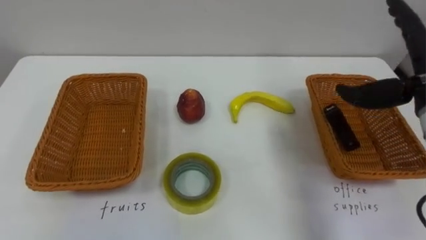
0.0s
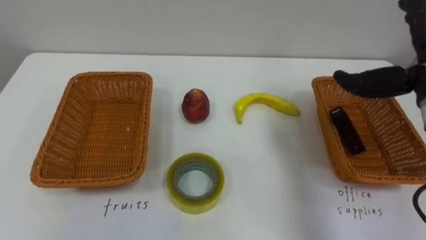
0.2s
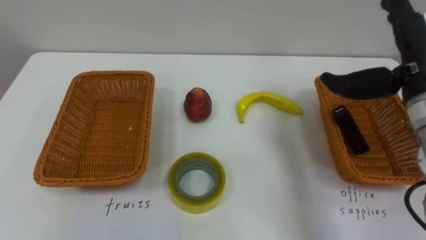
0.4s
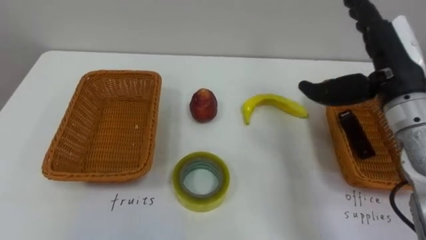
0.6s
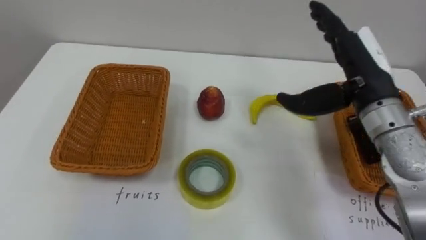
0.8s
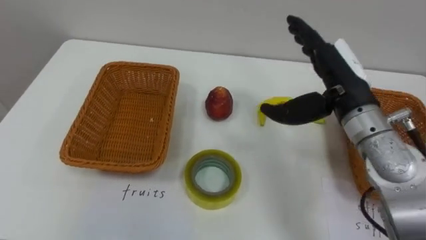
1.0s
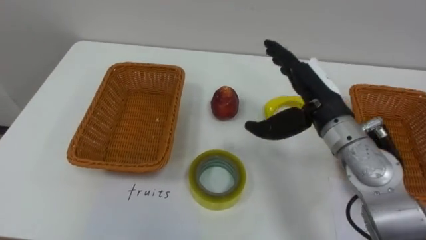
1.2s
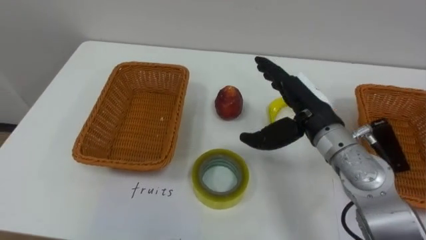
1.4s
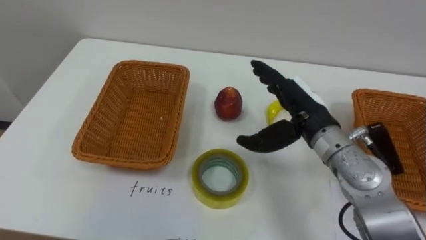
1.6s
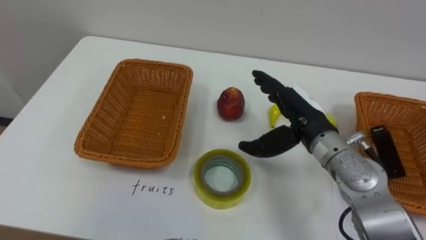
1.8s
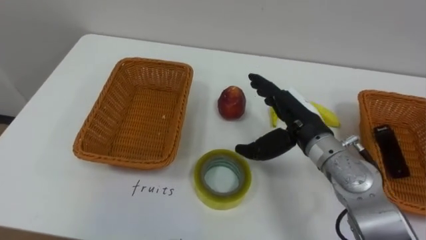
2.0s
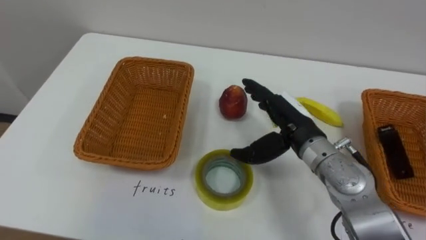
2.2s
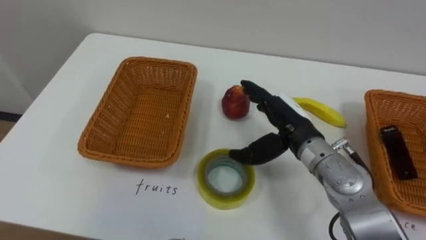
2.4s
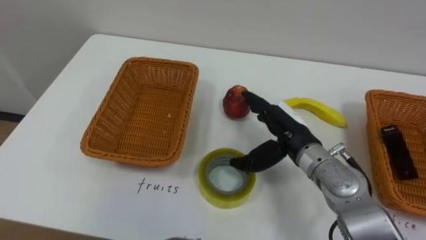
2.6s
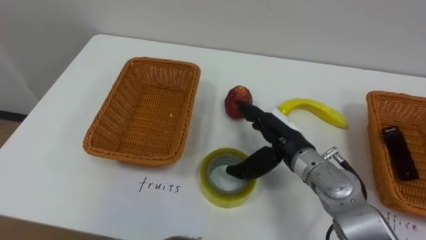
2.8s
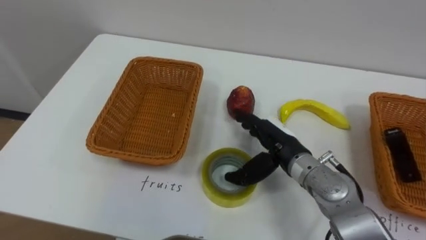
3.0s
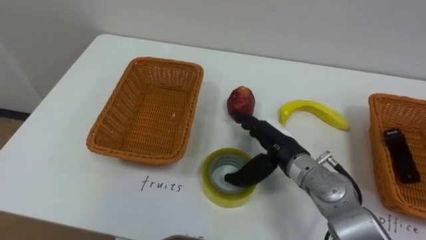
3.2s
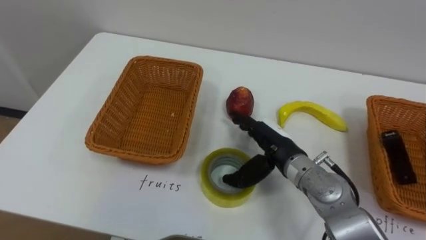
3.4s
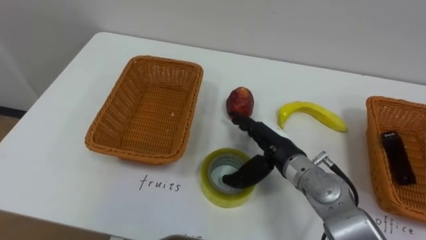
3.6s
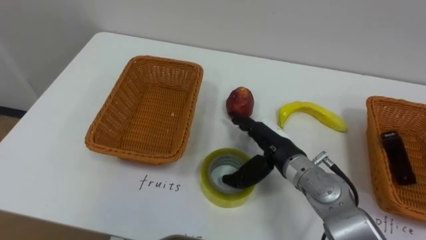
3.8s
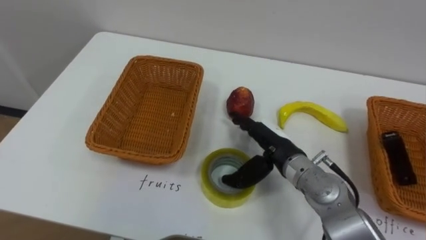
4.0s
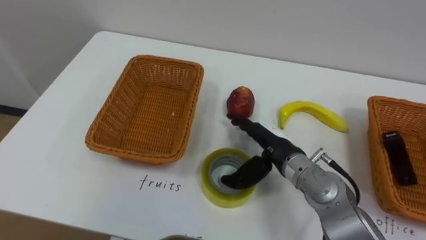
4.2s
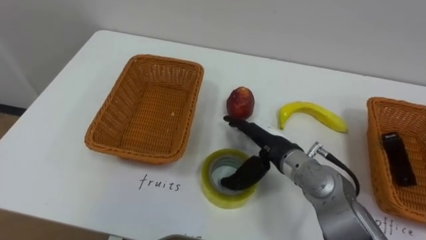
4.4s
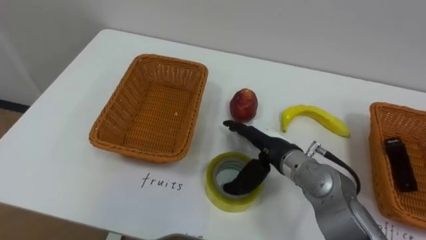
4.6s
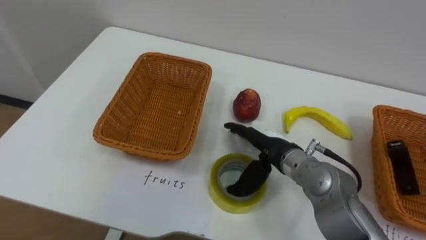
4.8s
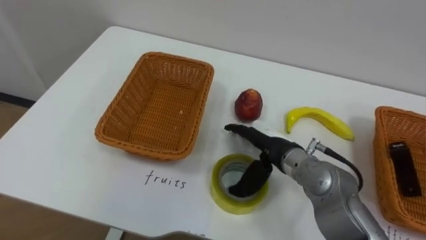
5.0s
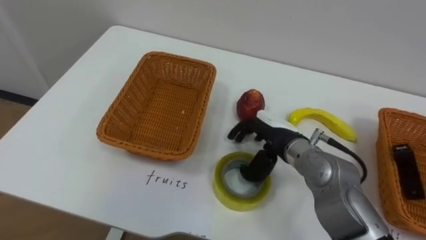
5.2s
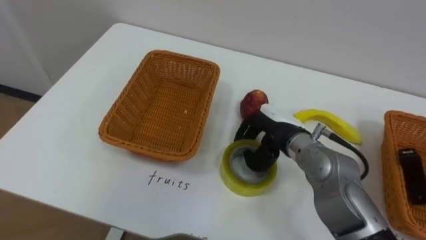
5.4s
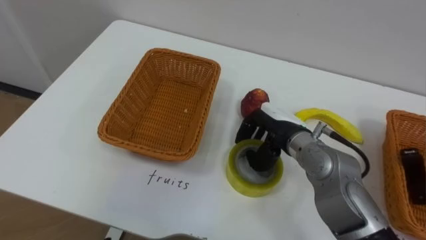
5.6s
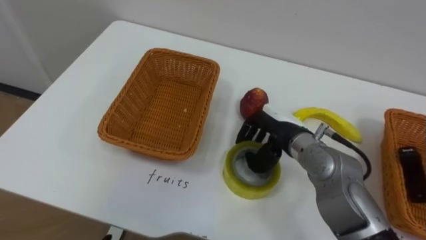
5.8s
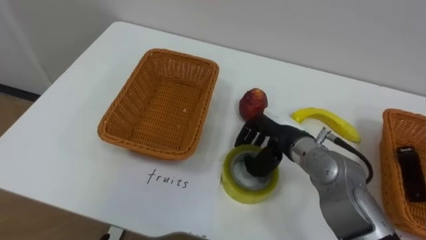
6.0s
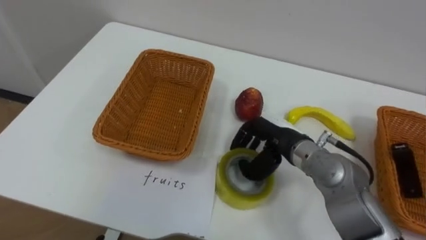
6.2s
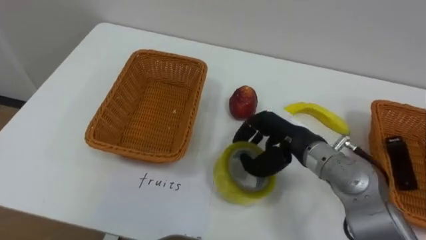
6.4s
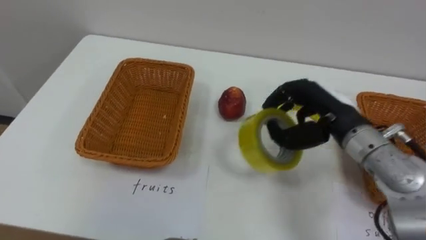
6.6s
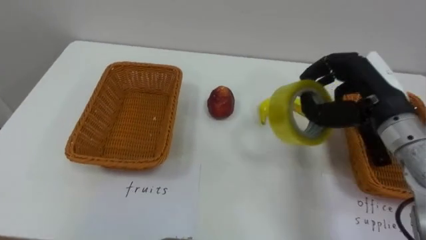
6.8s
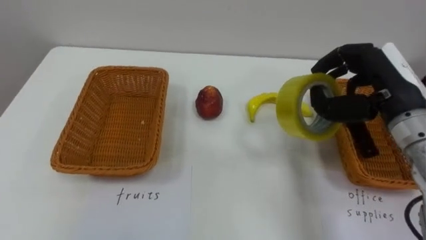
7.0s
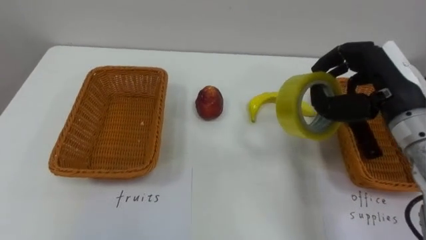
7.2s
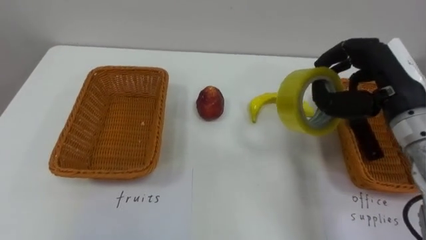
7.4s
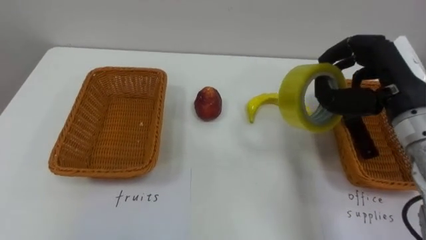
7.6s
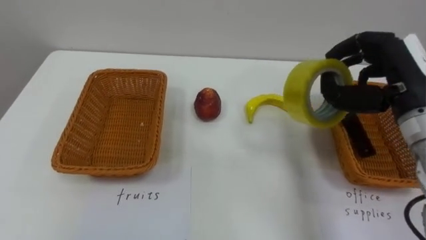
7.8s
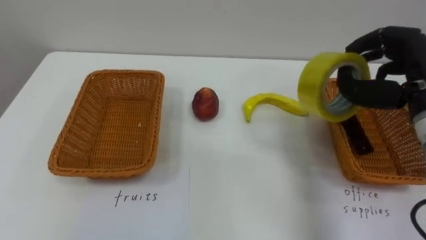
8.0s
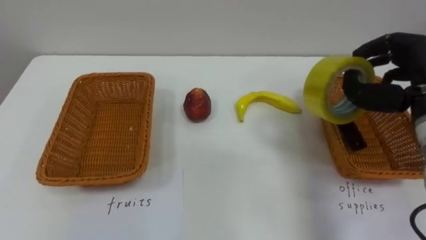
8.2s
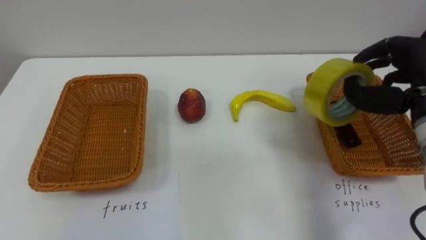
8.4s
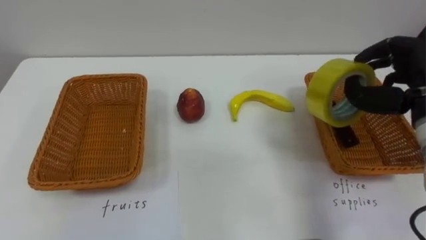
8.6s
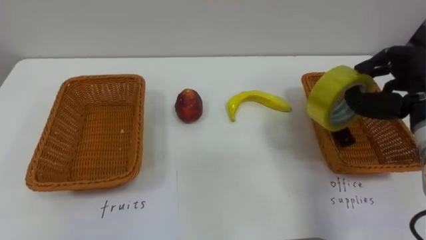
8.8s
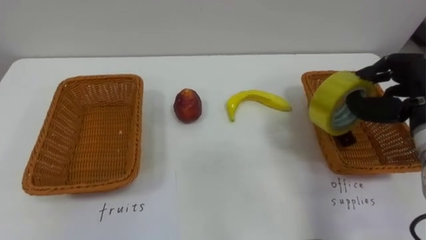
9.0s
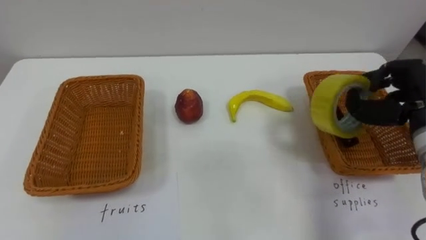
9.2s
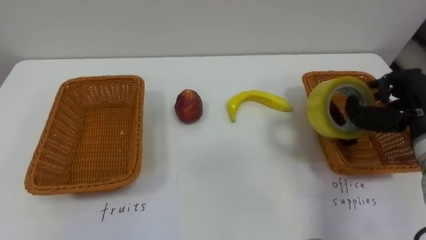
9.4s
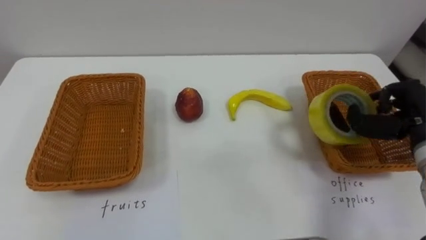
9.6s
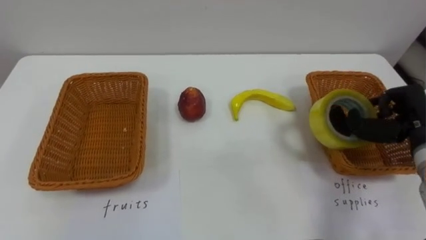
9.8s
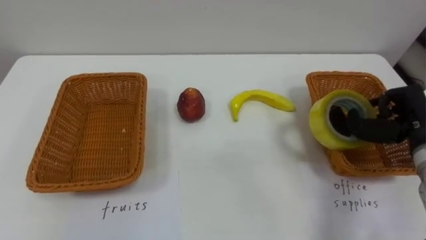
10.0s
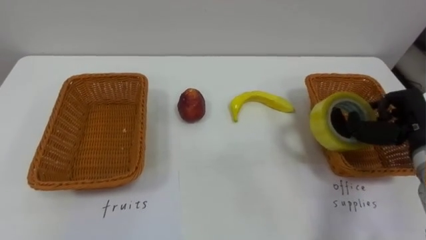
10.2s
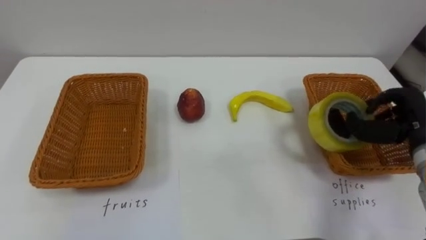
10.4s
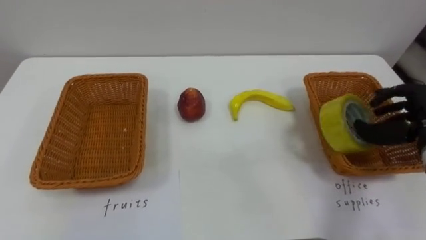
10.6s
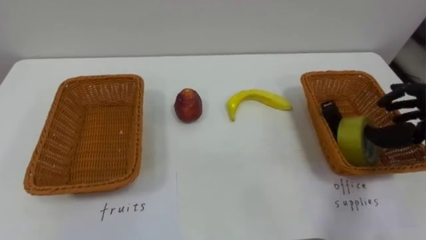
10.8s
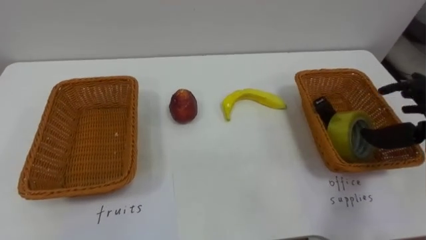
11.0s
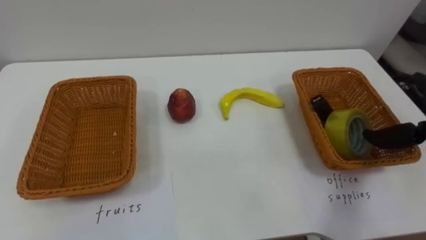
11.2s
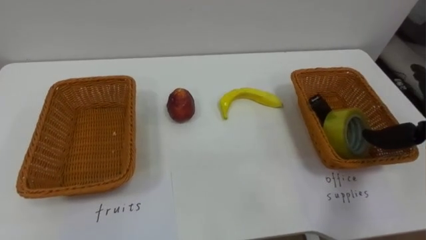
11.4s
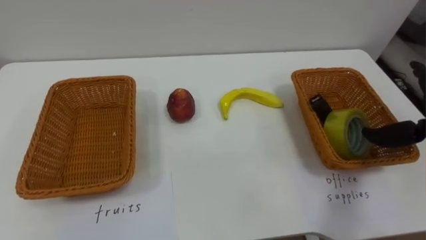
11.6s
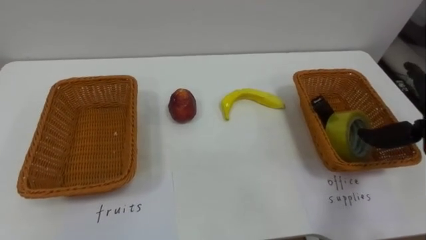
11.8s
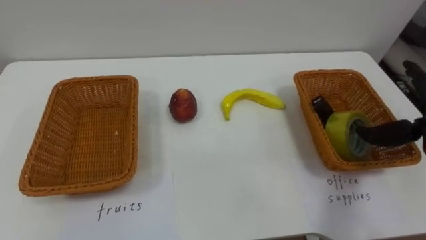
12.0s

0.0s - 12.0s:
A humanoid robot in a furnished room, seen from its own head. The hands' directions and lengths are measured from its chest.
Task of the whole recording: Separate the items on the table and place them into the two baskets.
1.6s - 3.0s: The right hand travels downward by about 10 cm.
4.4s - 6.0s: The right hand closes its fingers.
6.0s - 7.6s: The right hand heads to the right and upward, covering about 20 cm.
7.6s - 9.0s: The right hand travels to the right by approximately 5 cm.
9.0s - 10.4s: The right hand heads downward, covering roughly 5 cm.

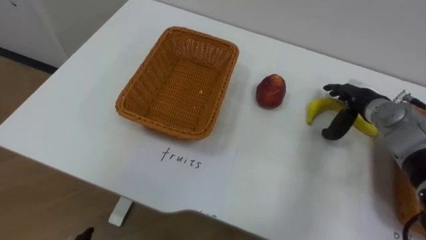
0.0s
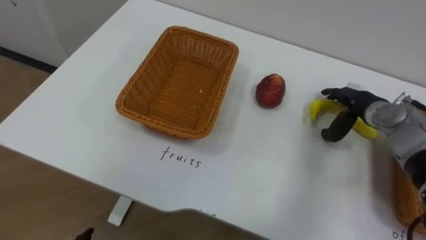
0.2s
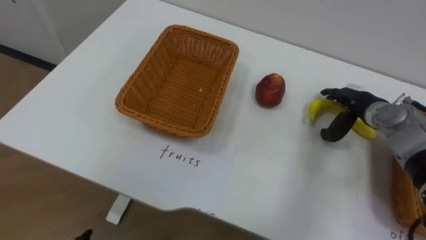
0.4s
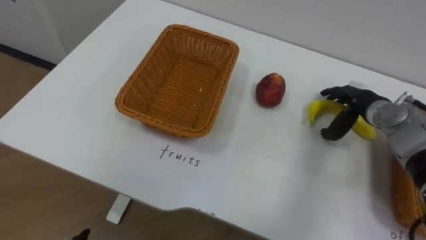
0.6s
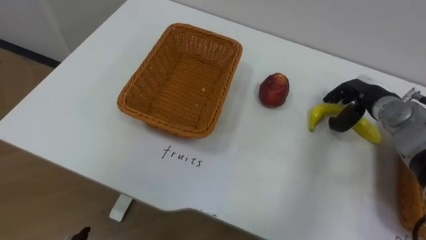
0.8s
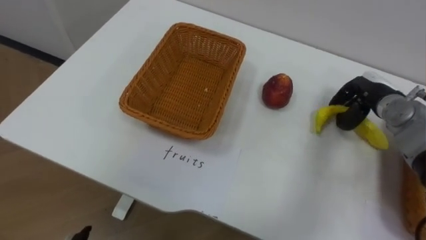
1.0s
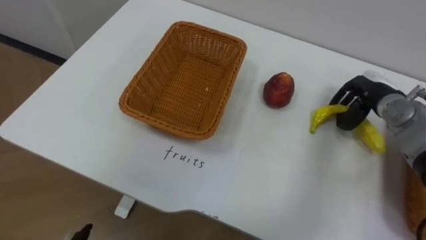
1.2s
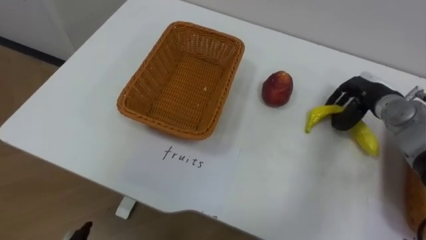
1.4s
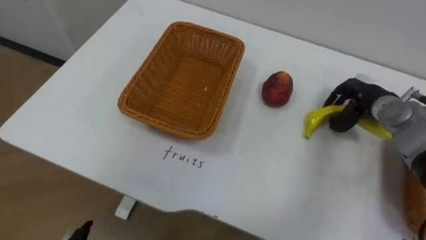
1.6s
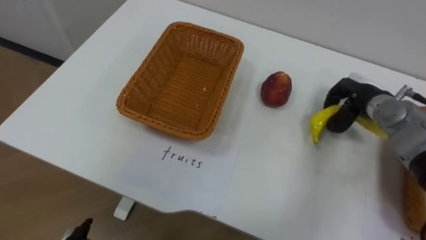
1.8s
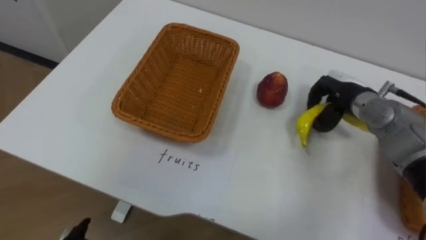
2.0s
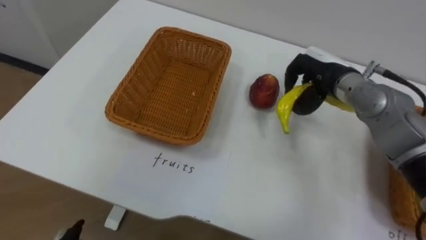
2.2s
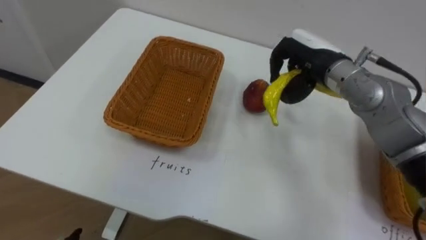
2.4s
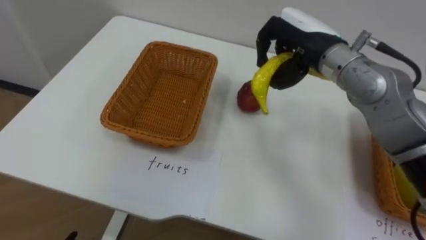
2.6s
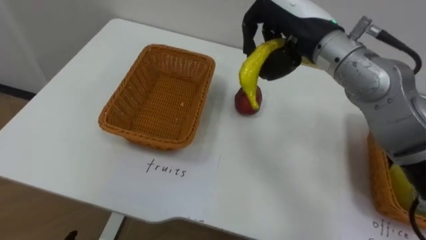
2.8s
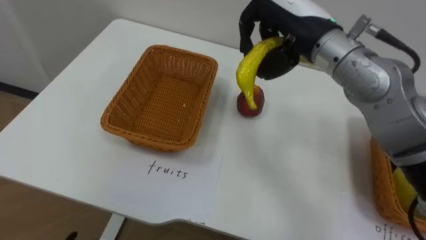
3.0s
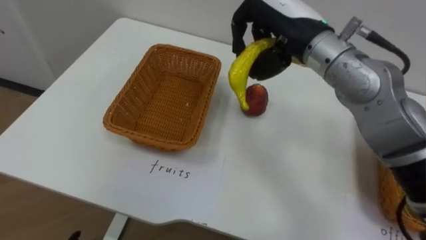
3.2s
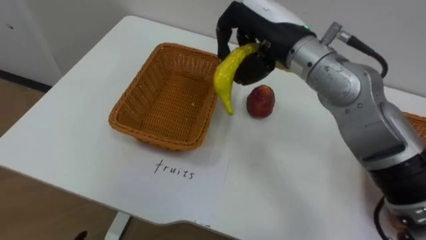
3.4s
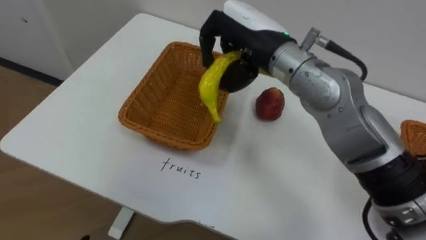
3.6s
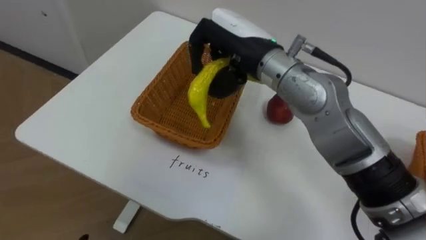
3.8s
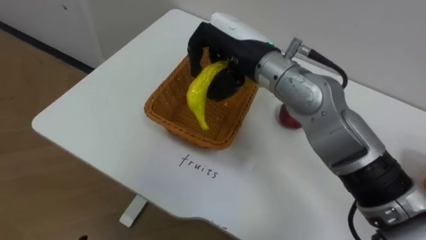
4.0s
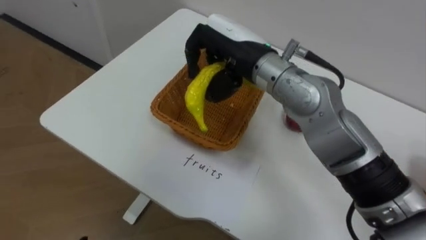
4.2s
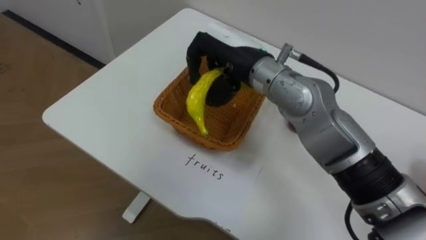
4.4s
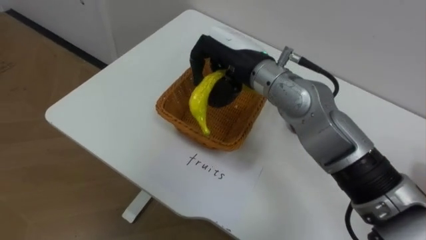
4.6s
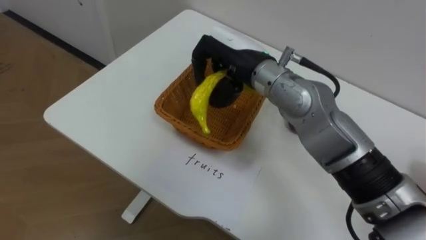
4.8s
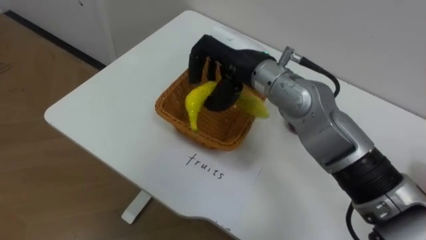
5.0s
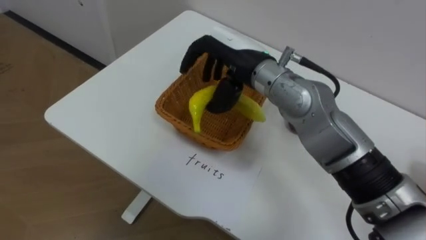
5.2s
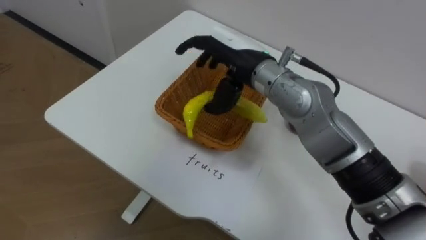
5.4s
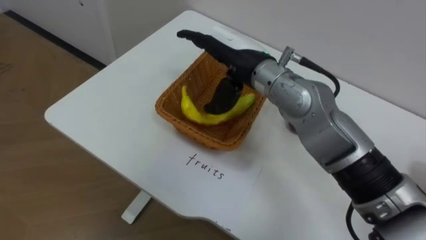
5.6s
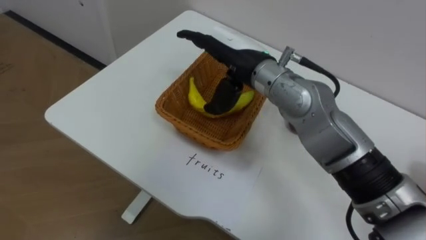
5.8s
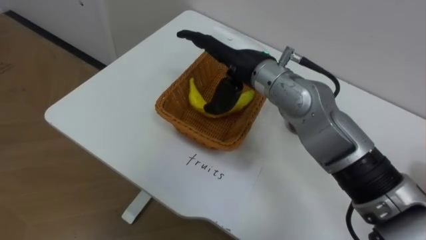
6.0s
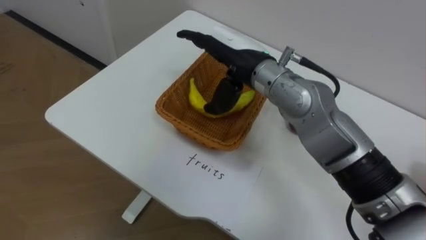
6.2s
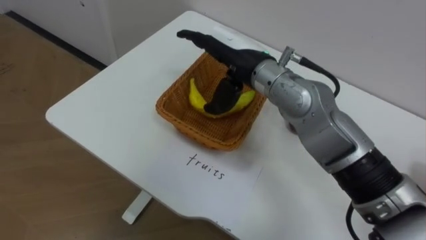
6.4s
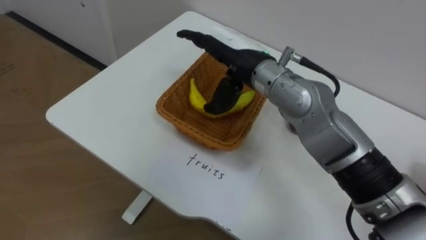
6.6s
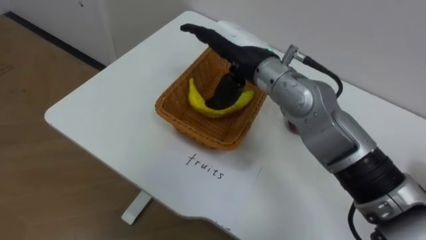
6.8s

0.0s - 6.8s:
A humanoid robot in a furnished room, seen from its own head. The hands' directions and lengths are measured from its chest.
Task of the whole recording: Separate the items on the table and place them into the two baskets.
0.0s - 1.4s: The right hand closes its fingers.
1.4s - 2.8s: The right hand is displaced to the left and upward by some 25 cm.
2.8s - 4.0s: The right hand travels to the left by some 10 cm.
4.0s - 5.4s: The right hand opens its fingers.
